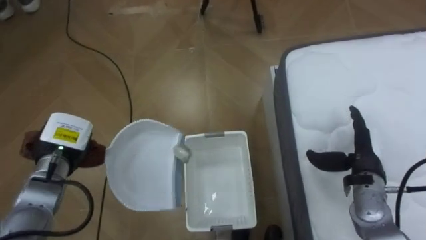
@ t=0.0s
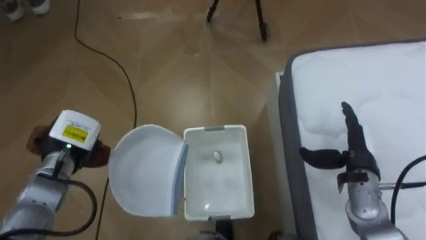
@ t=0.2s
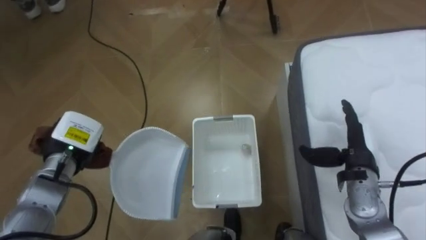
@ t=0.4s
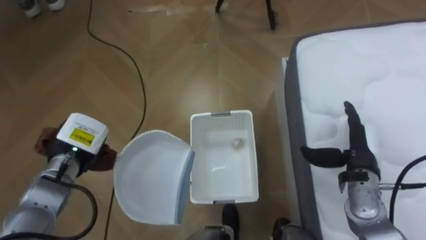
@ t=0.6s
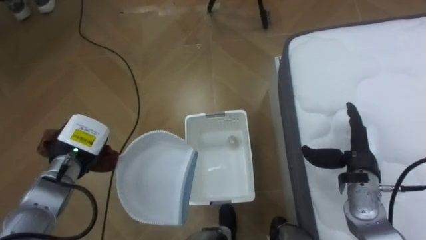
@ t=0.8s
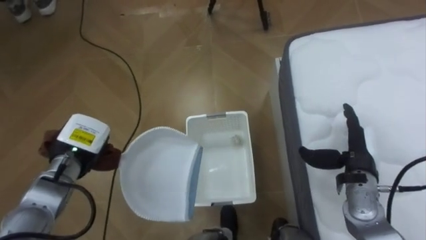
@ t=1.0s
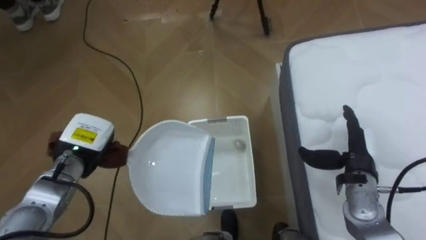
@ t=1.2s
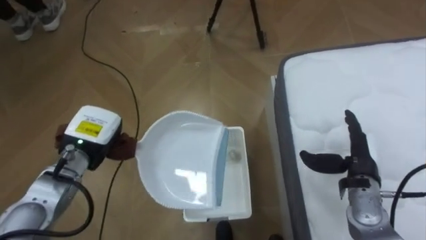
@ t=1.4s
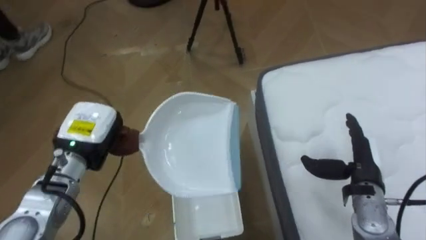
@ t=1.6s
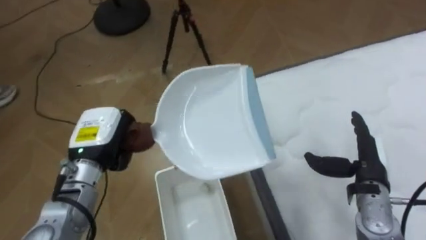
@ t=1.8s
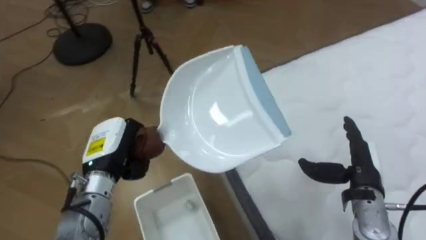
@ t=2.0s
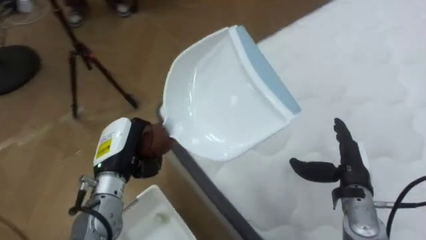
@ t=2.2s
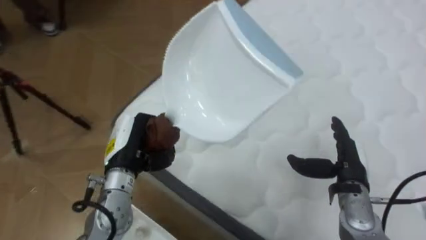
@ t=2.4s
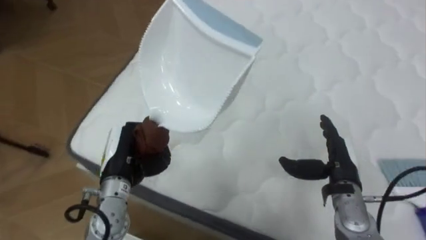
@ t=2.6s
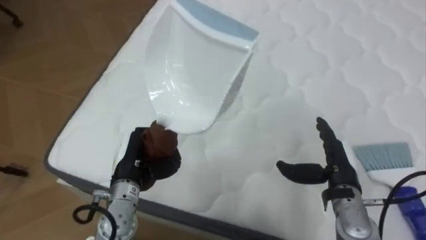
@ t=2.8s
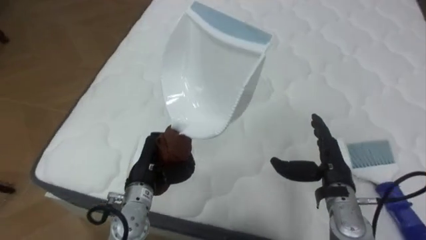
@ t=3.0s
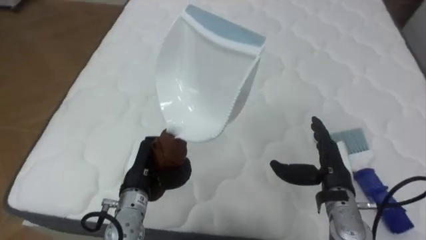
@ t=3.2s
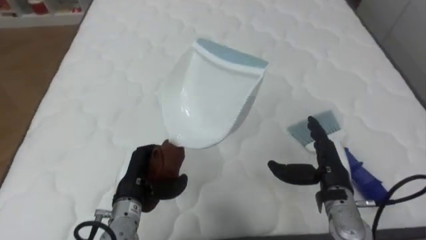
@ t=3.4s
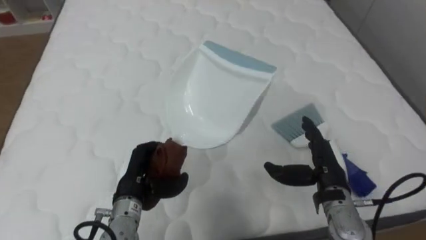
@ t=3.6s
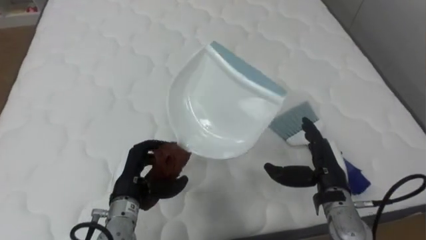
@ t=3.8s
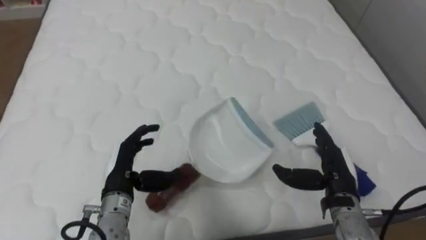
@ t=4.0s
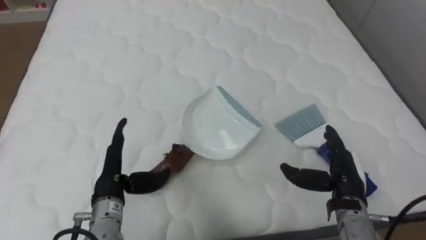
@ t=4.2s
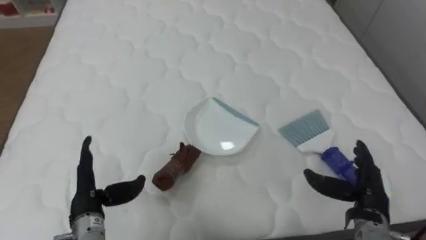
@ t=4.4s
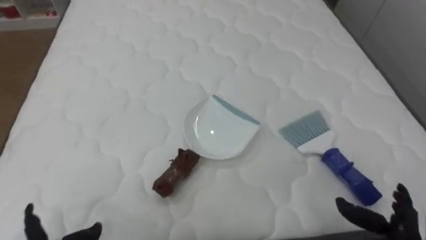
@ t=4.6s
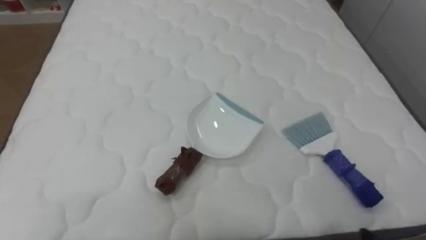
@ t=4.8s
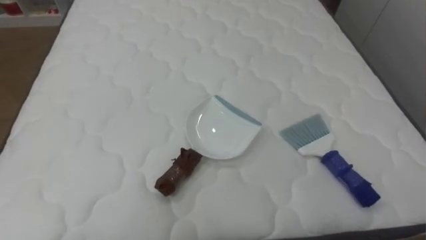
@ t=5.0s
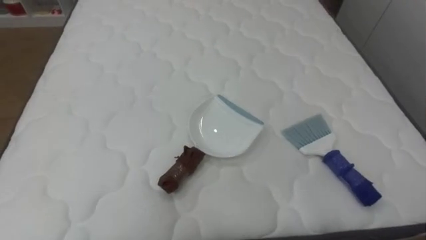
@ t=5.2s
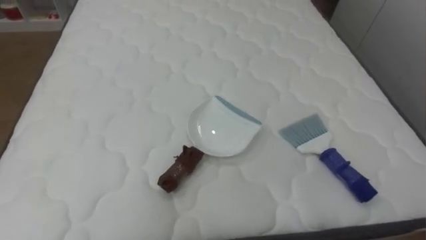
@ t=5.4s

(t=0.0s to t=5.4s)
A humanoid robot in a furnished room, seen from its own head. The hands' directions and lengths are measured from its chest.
Task of the whole recording: Pick up the brush on your right and the dustpan on your left. Use the brush to sweep the crumpled paper on the bed into the dustpan, then turn left and empty it into the basket.
t=0.0s - t=1.4s: The left hand is displaced to the right by about 5 cm.
t=1.4s - t=2.8s: The robot faces approximately 70 degrees further to its right. The left hand goes approximately 5 cm to the right.
t=2.8s - t=4.0s: The robot turns to its right by about 25 degrees. The left hand opens up.

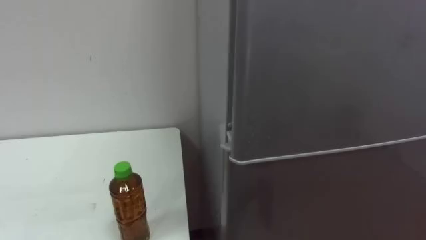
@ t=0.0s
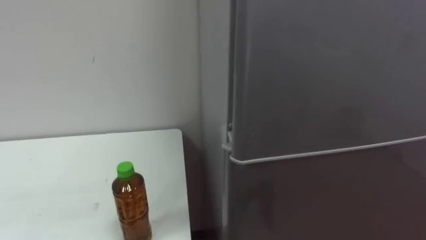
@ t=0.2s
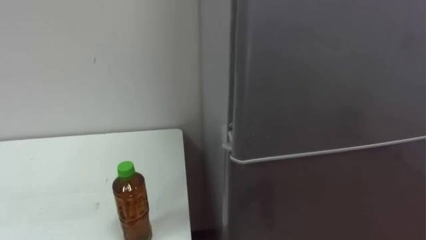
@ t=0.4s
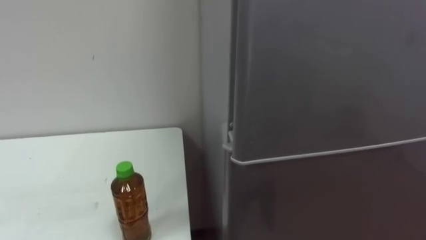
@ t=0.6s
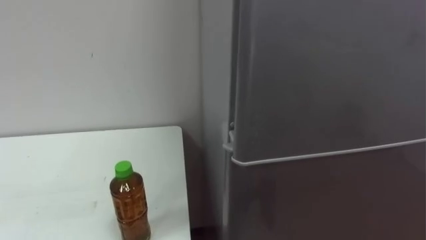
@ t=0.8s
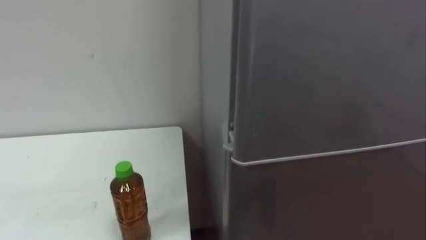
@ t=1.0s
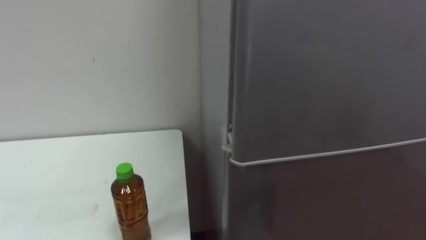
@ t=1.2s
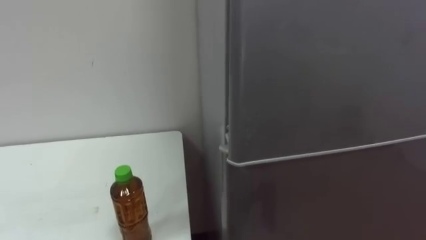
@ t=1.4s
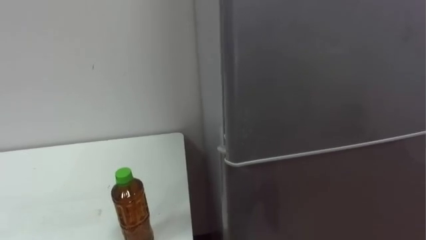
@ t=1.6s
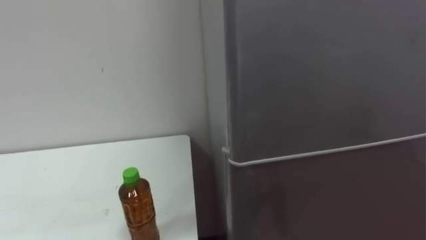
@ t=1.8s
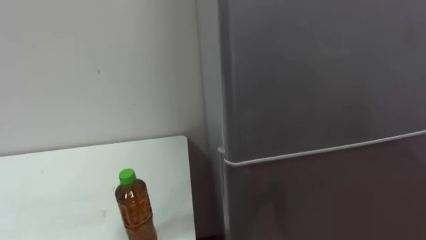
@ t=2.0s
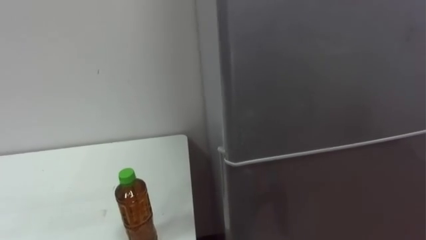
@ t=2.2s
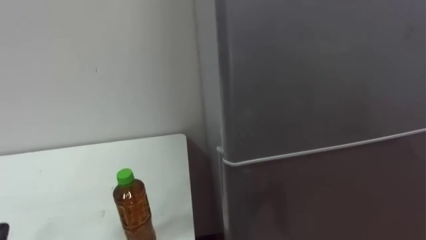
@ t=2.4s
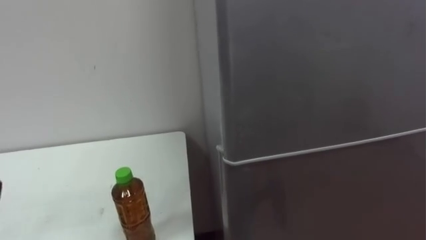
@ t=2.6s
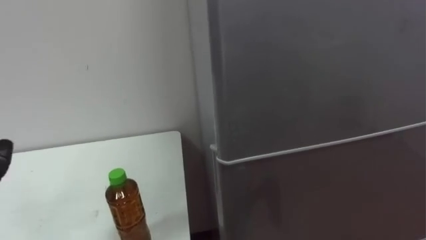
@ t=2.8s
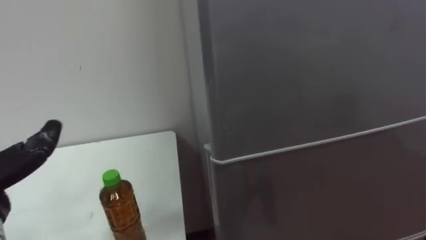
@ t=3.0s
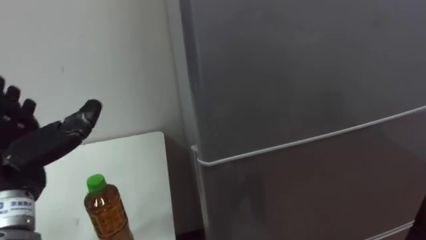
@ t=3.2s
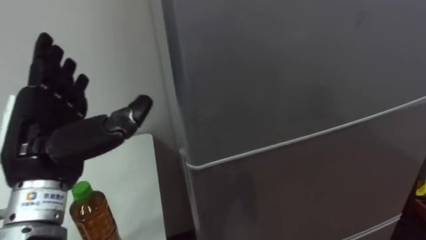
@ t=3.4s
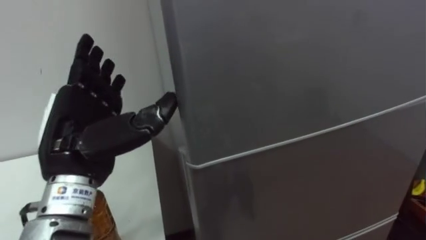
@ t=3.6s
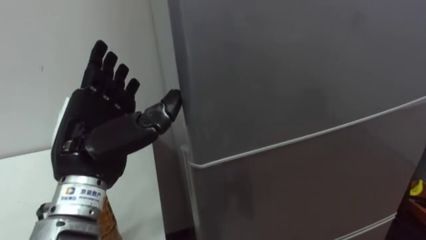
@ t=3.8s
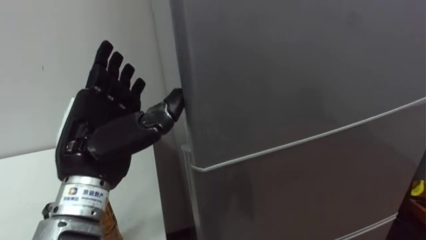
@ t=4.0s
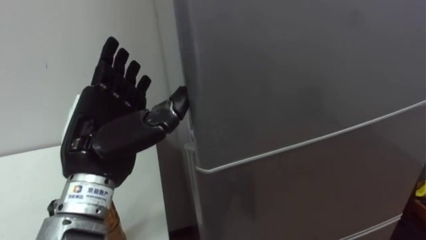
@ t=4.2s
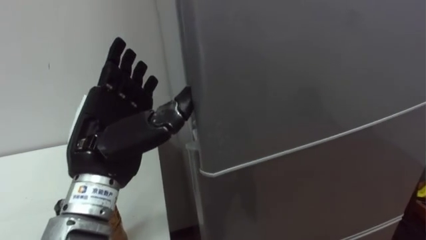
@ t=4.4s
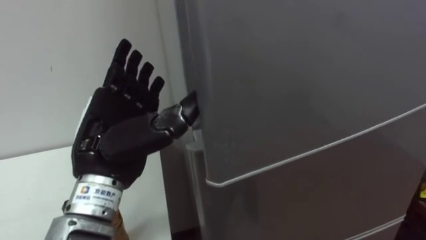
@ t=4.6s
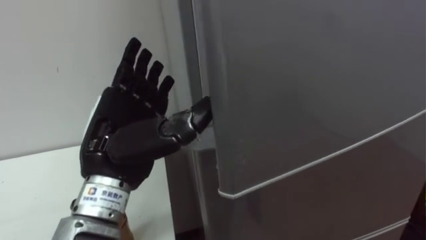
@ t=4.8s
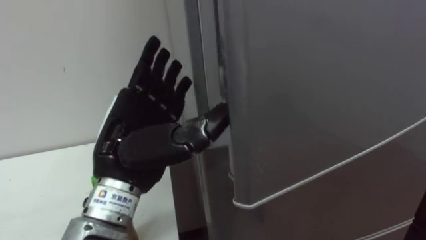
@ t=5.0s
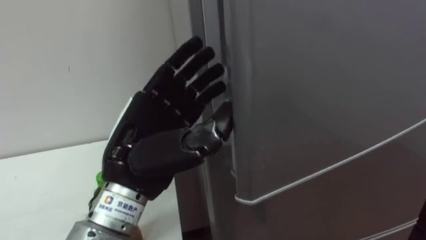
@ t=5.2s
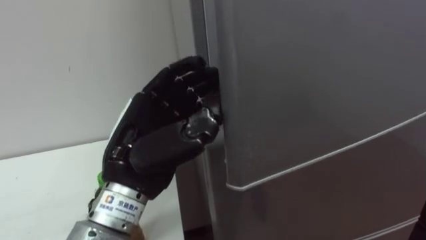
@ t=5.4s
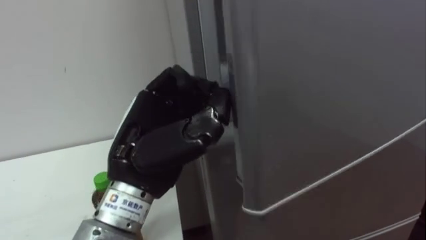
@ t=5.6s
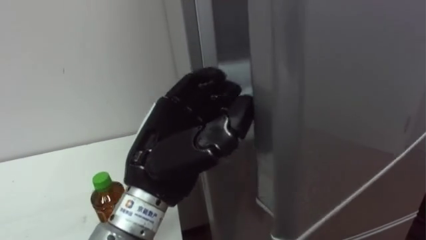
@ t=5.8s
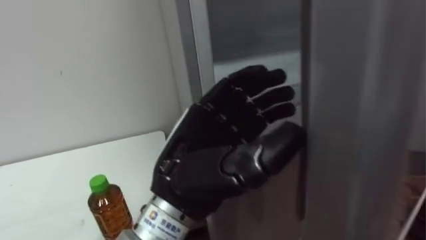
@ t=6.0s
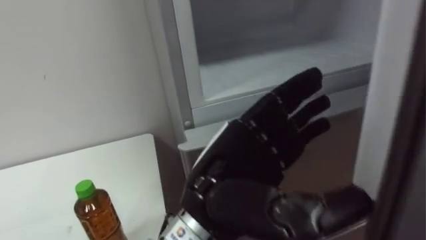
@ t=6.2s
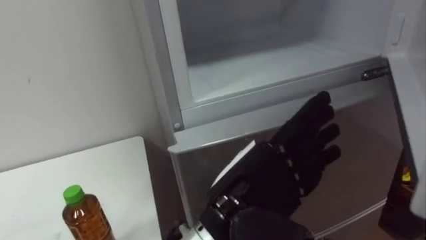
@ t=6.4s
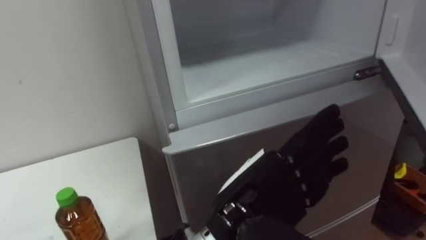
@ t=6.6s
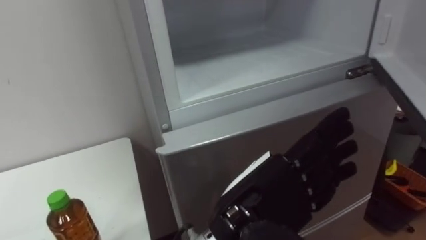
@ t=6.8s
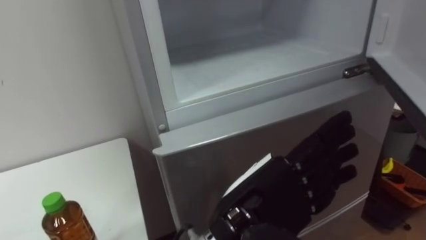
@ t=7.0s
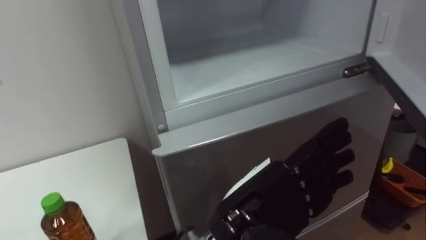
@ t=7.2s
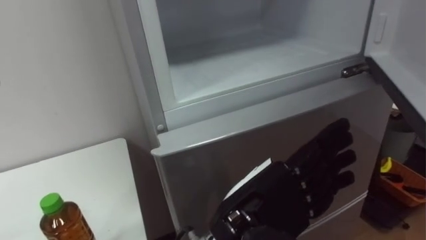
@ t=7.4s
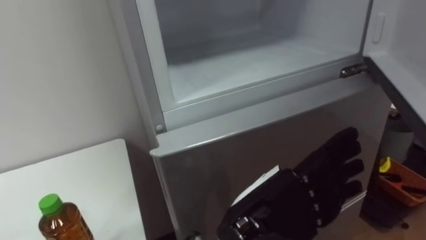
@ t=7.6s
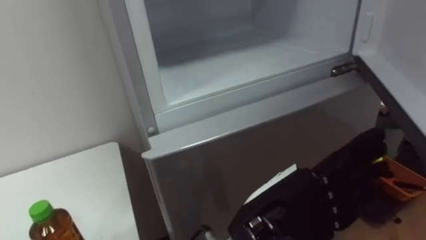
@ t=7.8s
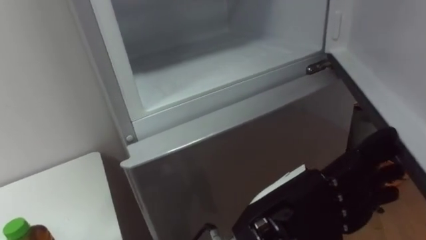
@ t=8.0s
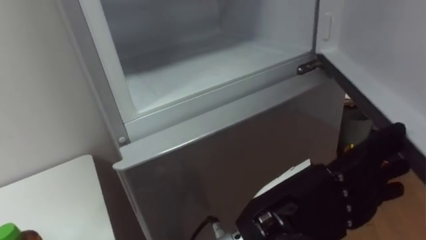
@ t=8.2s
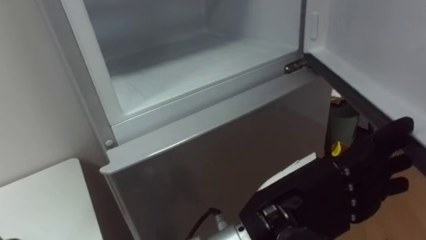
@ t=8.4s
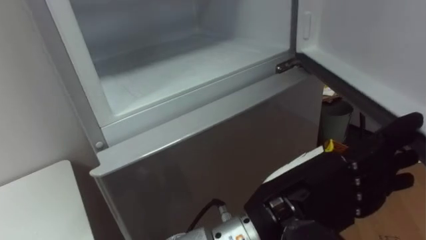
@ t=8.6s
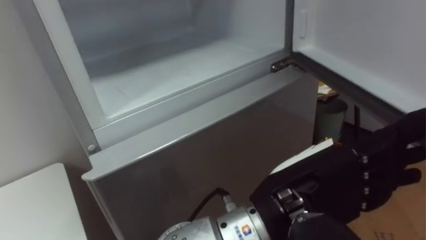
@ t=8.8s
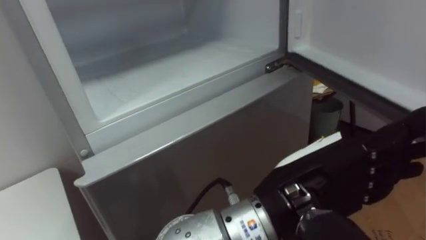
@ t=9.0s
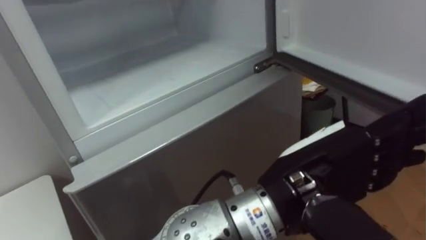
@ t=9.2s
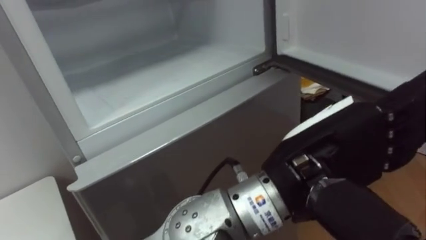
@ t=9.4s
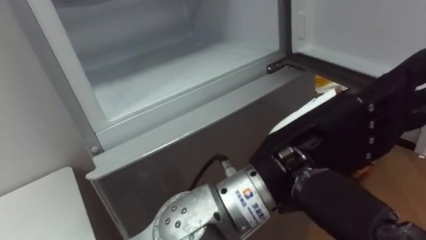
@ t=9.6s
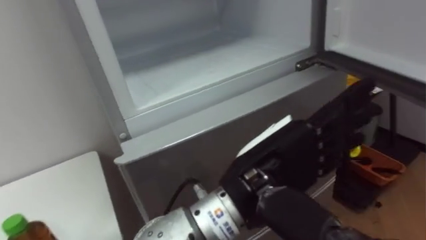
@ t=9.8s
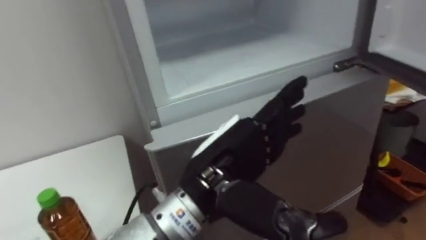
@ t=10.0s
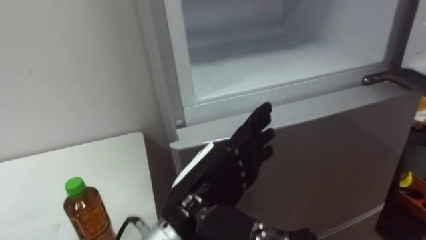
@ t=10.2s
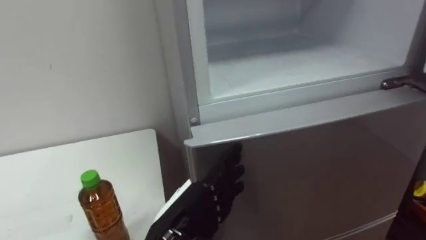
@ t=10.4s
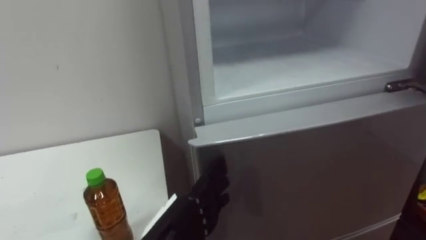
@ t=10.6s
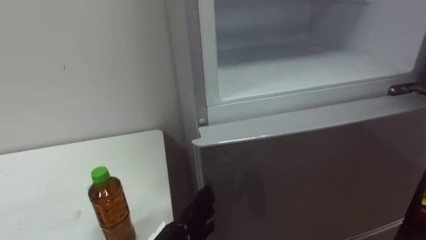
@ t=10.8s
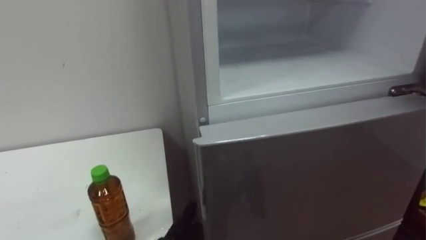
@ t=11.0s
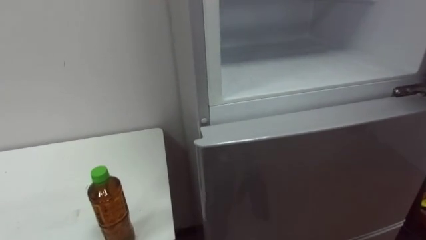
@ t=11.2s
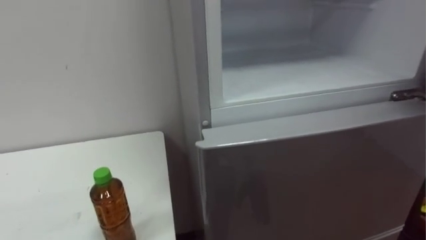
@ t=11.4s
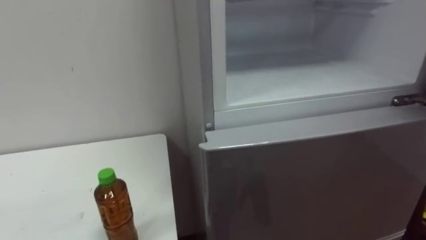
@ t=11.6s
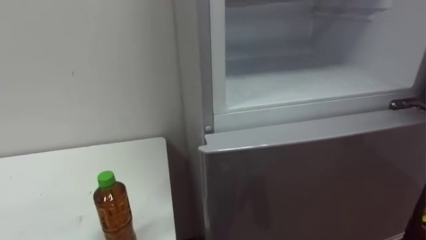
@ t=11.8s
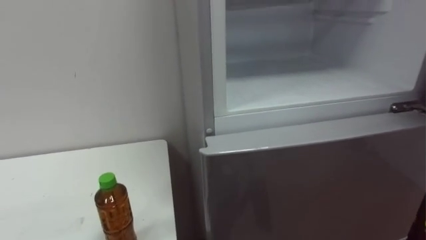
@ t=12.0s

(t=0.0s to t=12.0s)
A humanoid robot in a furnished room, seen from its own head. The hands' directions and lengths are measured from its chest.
Task of the whole recording: Open the upper refrigerator door, put the drink from the table into the refrigerator, and then close the refrigerator door.
t=4.4s - t=6.0s: The left hand goes some 10 cm to the right, and closes.
t=6.0s - t=7.6s: The left hand goes approximately 10 cm to the right, and opens.
t=7.6s - t=9.0s: The left hand goes about 5 cm upward.
t=9.0s - t=10.4s: The left hand travels to the left and downward by approximately 15 cm.
